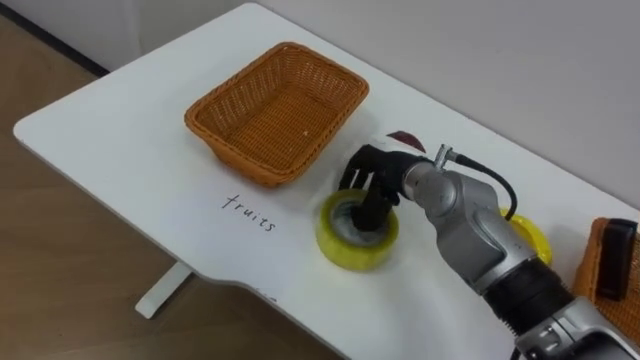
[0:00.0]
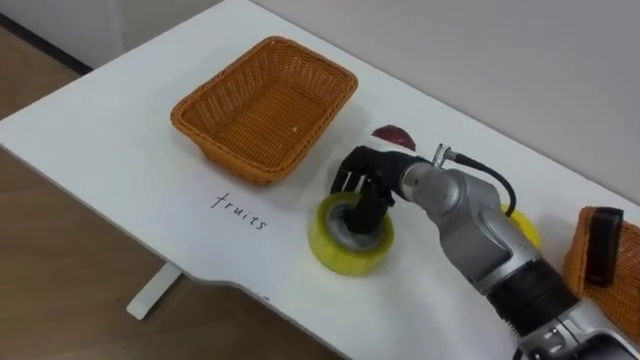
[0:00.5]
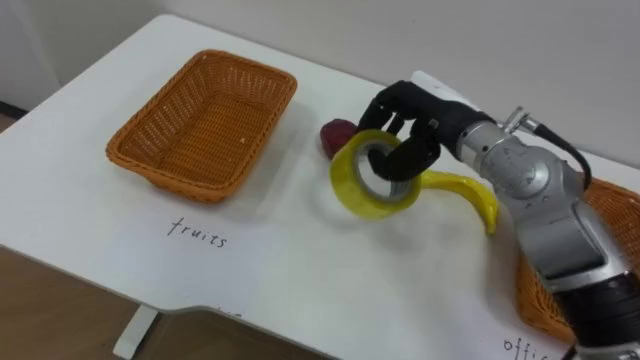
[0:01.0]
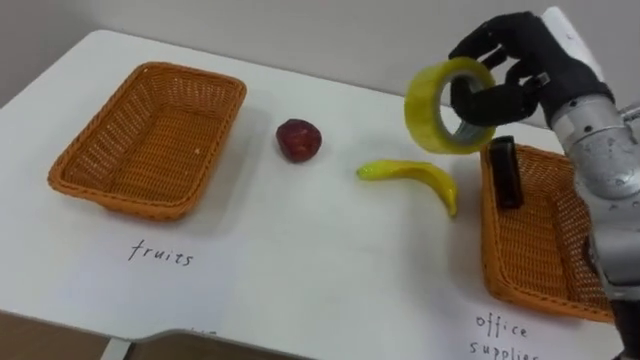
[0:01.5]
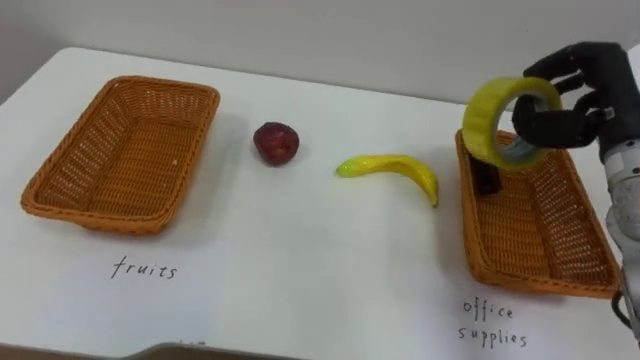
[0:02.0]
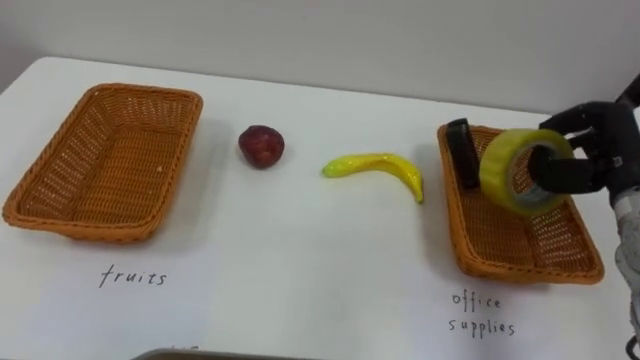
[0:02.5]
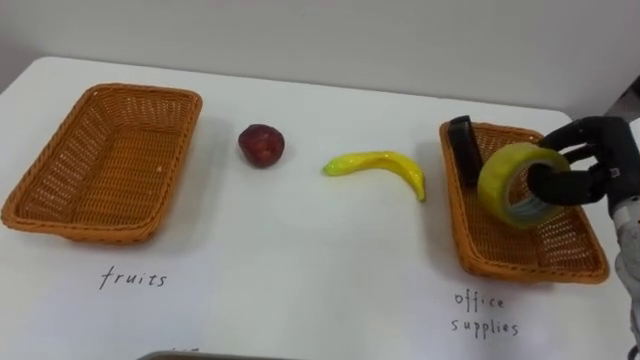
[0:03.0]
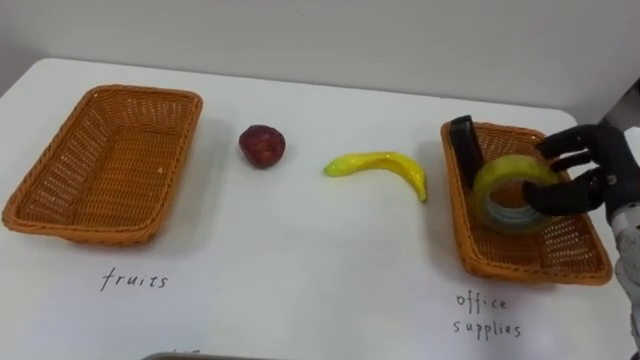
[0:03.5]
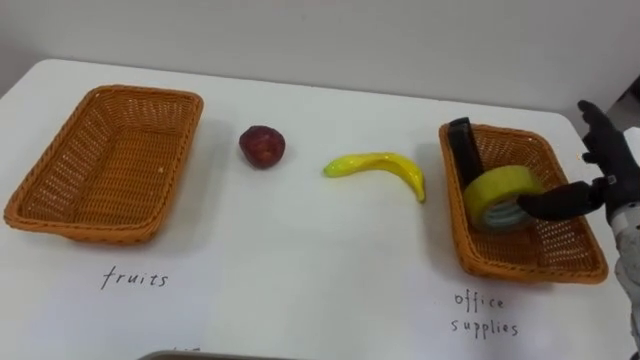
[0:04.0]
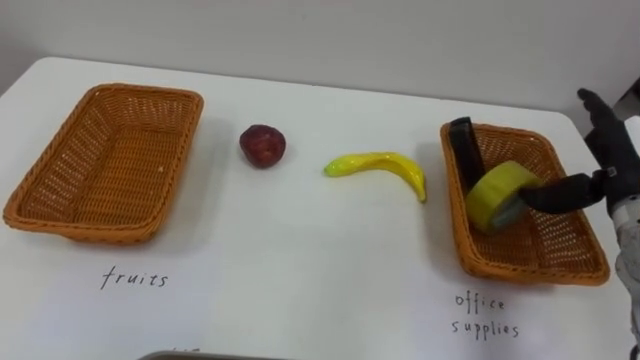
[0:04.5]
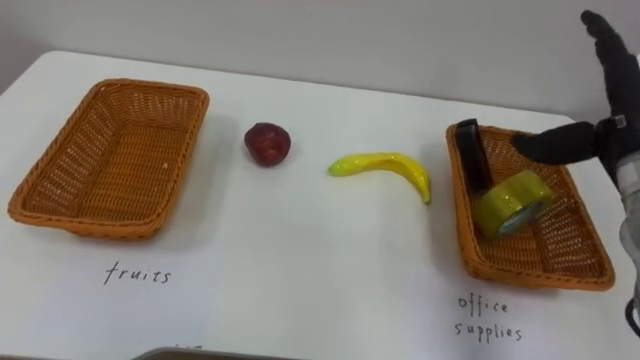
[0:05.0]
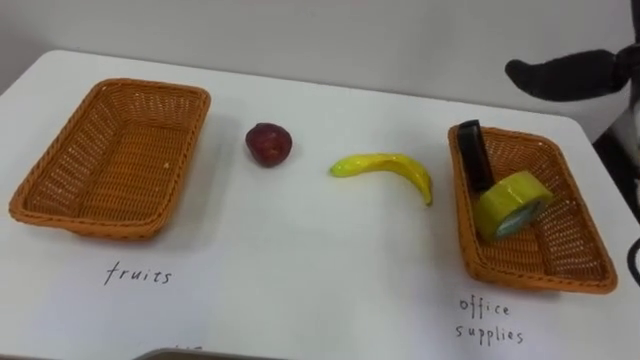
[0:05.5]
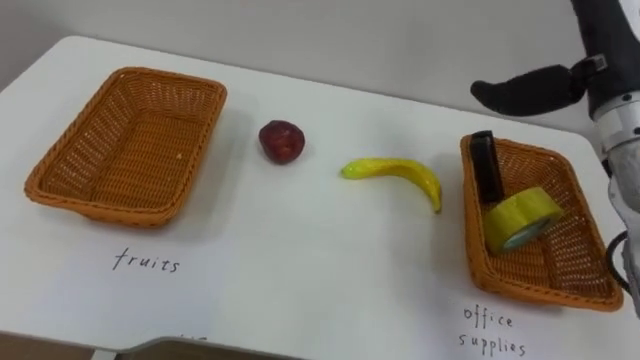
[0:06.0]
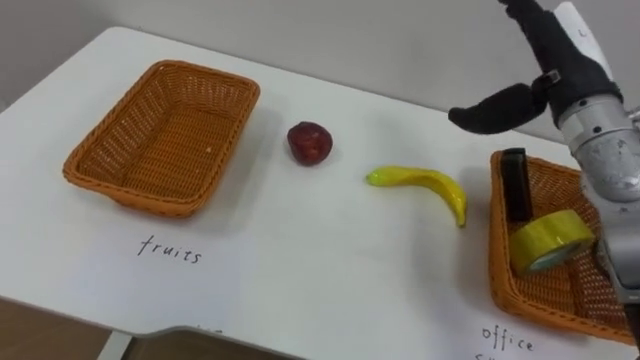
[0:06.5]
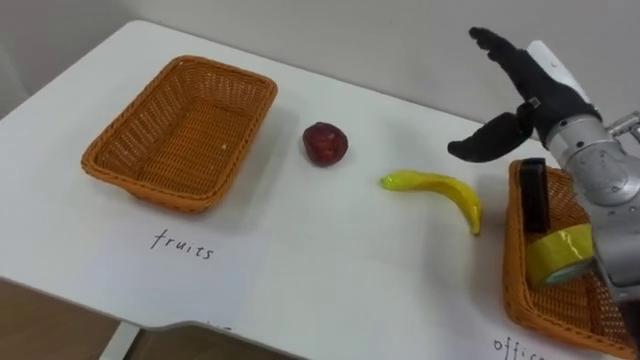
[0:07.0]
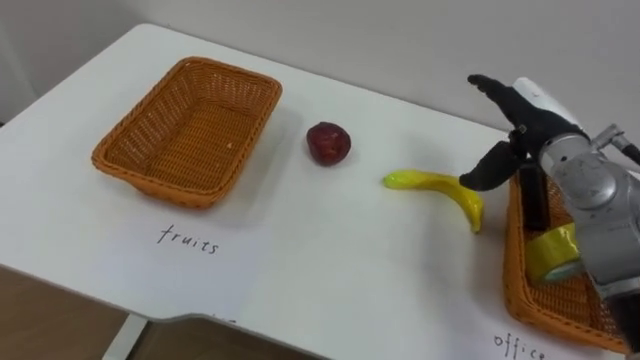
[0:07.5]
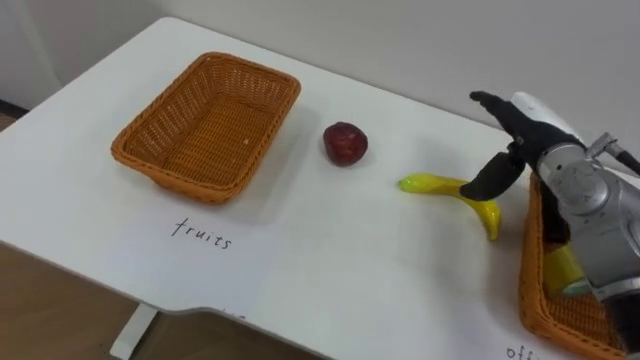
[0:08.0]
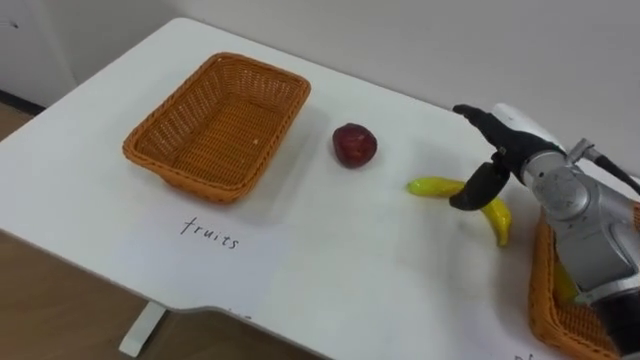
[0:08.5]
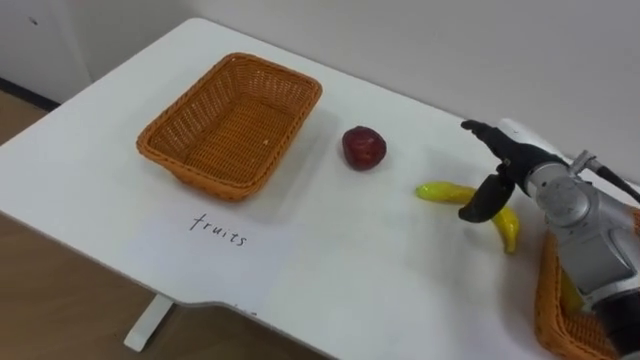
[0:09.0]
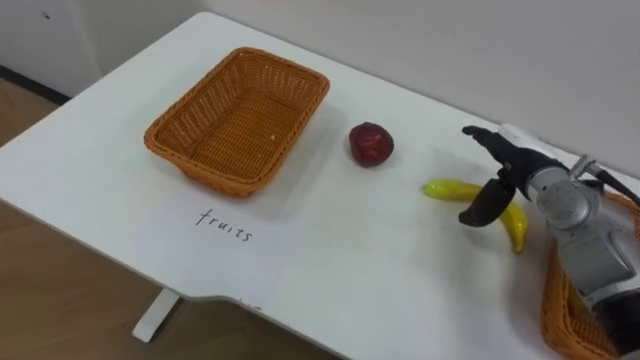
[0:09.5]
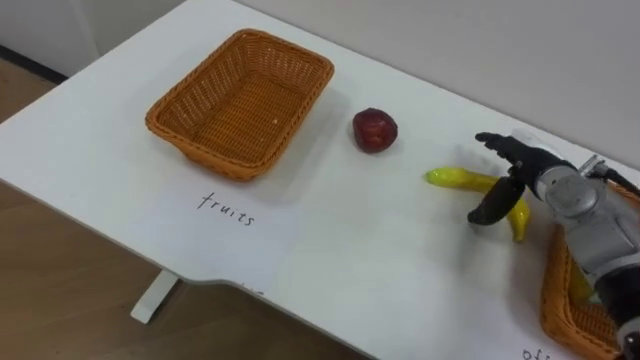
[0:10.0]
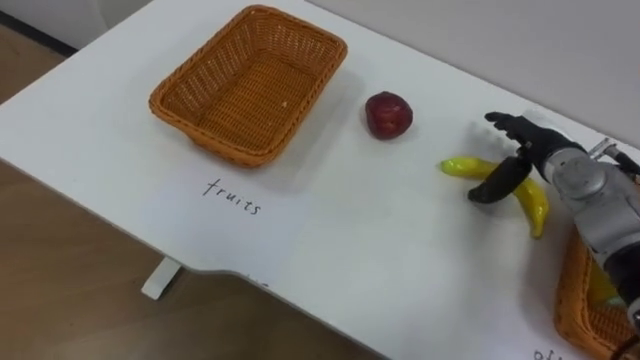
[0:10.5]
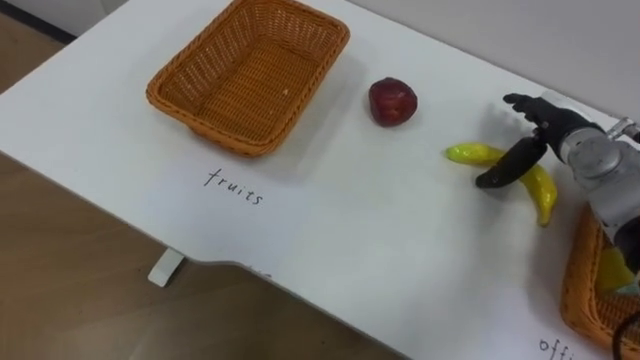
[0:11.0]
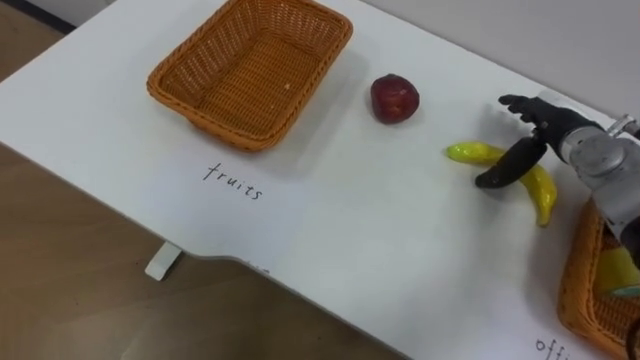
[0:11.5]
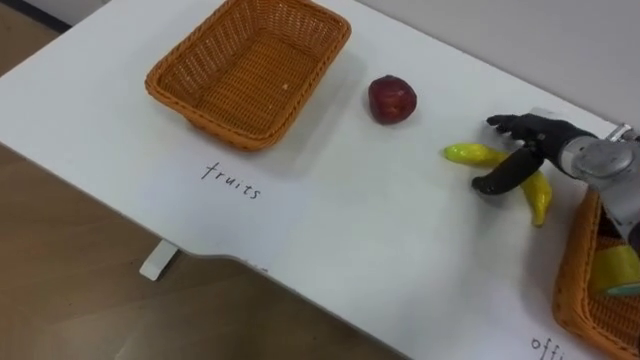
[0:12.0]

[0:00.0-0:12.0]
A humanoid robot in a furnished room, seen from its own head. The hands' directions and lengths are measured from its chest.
Task of the whole recording: Separate the items on the table and place them into the two baskets.
0:00.0 to 0:02.0: The right hand goes roughly 25 cm to the right and upward.
0:02.0 to 0:04.0: The right hand goes about 10 cm downward, and opens.
0:06.0 to 0:08.0: The right hand is displaced downward by roughly 15 cm.
0:08.0 to 0:10.0: The right hand is displaced downward by some 5 cm.

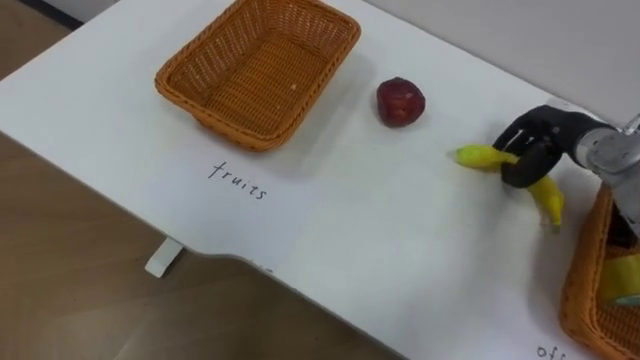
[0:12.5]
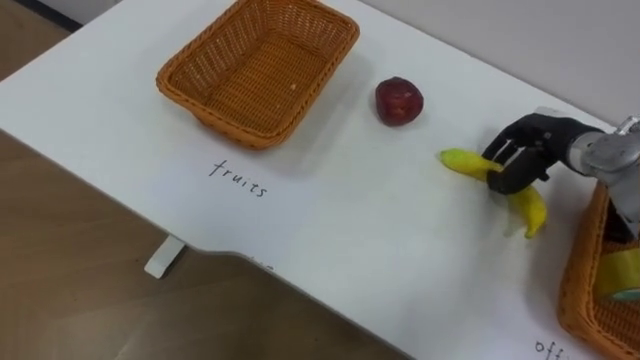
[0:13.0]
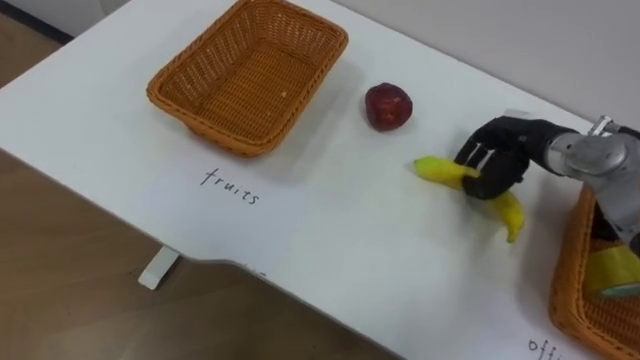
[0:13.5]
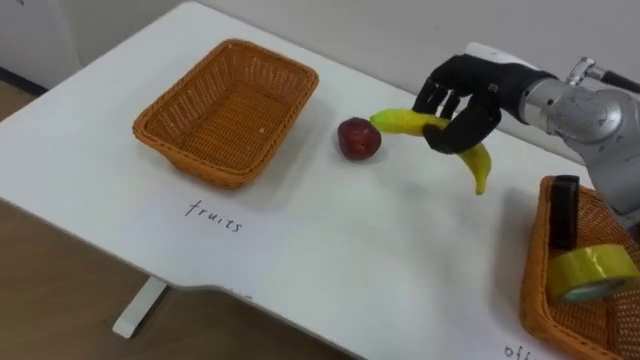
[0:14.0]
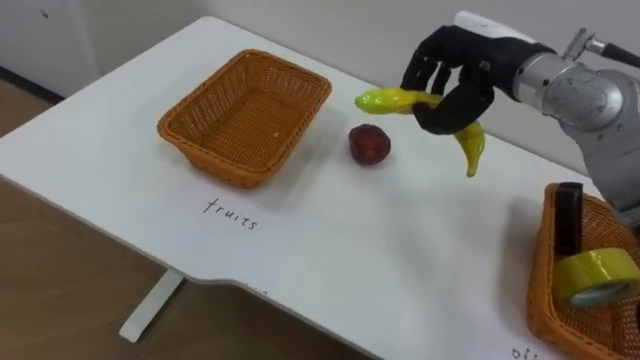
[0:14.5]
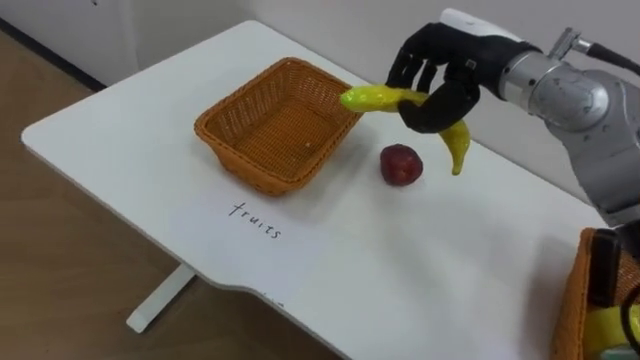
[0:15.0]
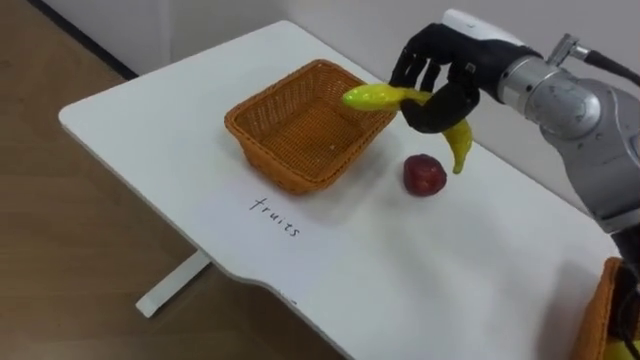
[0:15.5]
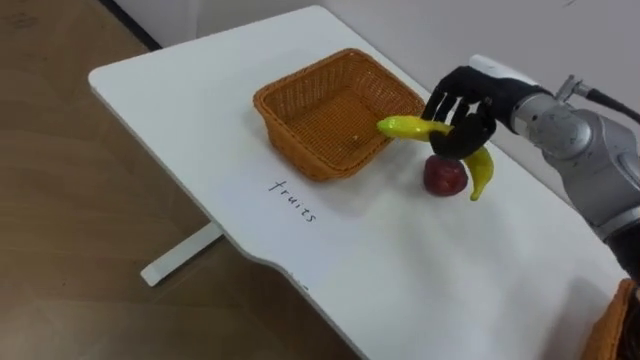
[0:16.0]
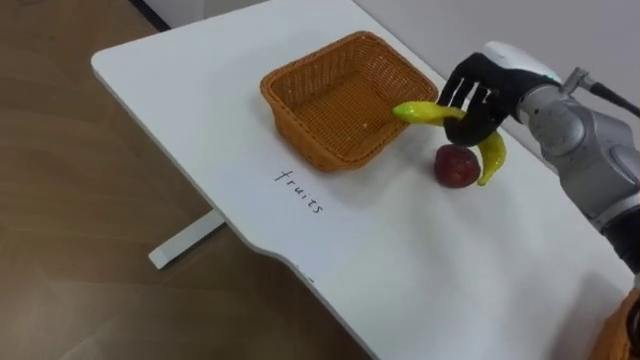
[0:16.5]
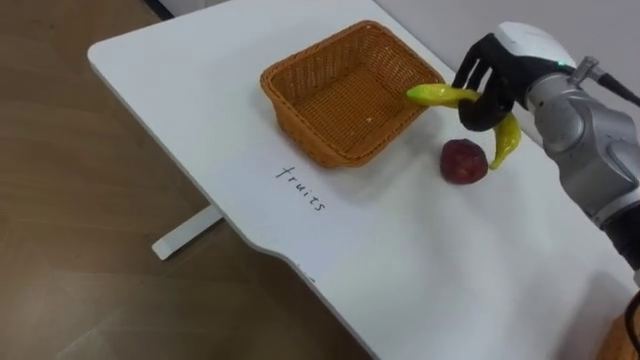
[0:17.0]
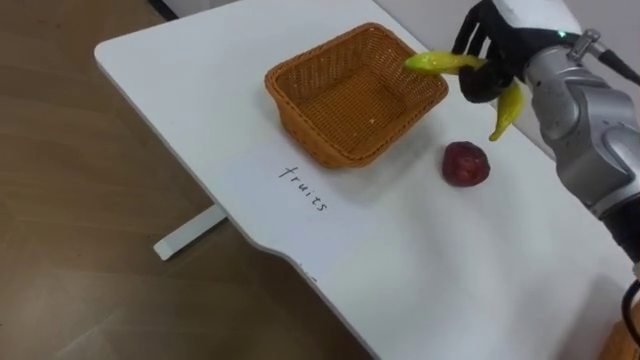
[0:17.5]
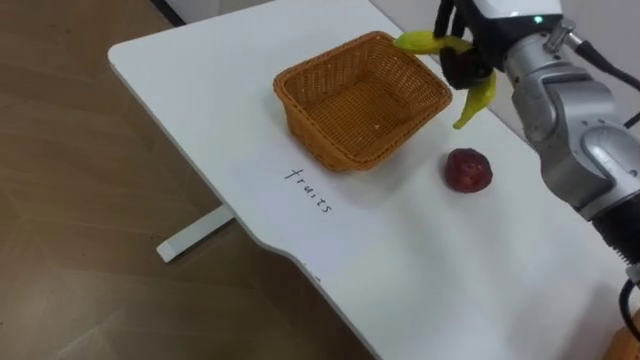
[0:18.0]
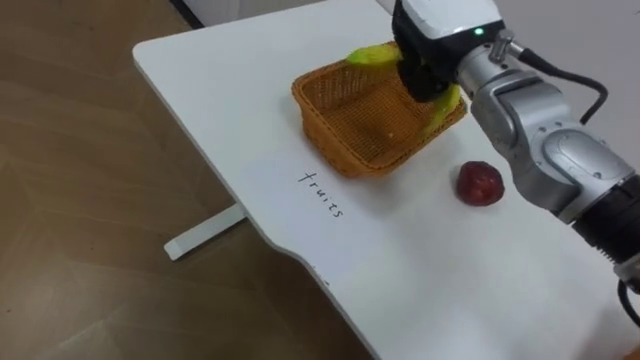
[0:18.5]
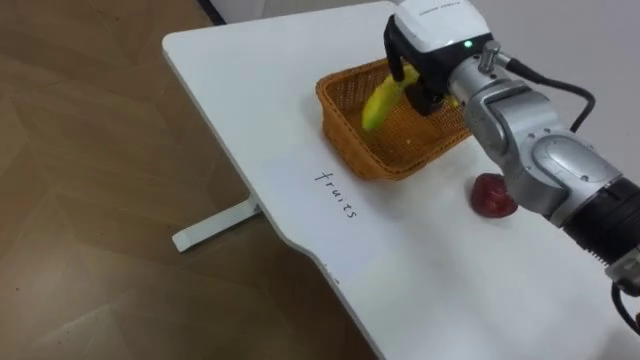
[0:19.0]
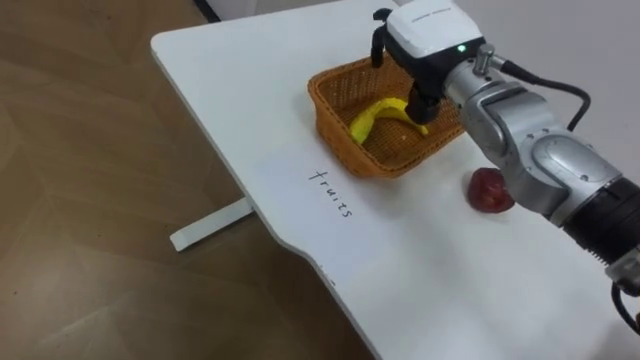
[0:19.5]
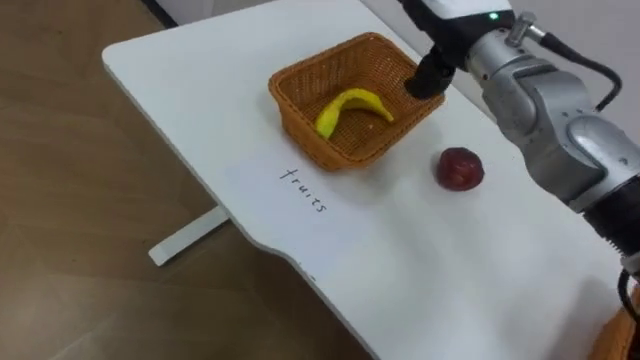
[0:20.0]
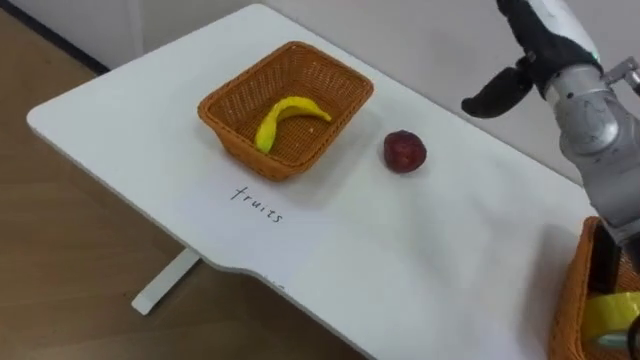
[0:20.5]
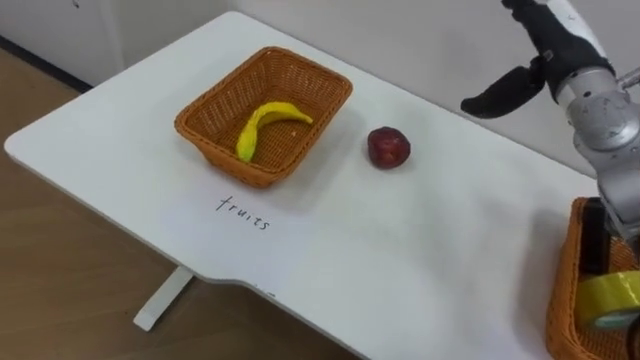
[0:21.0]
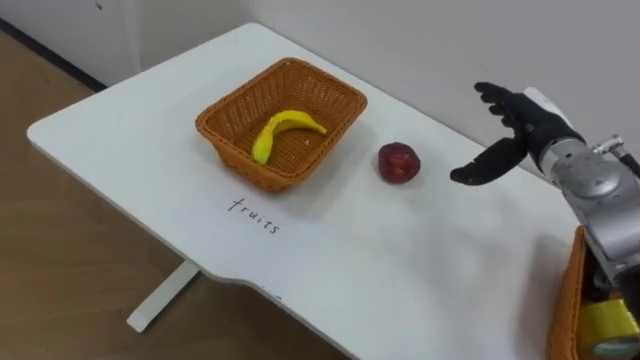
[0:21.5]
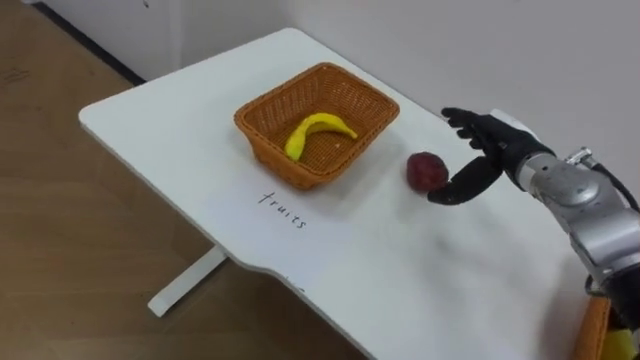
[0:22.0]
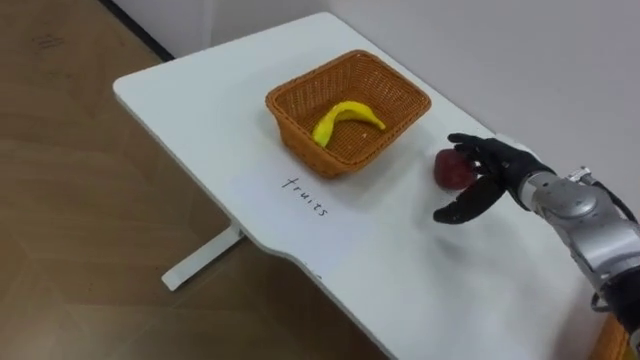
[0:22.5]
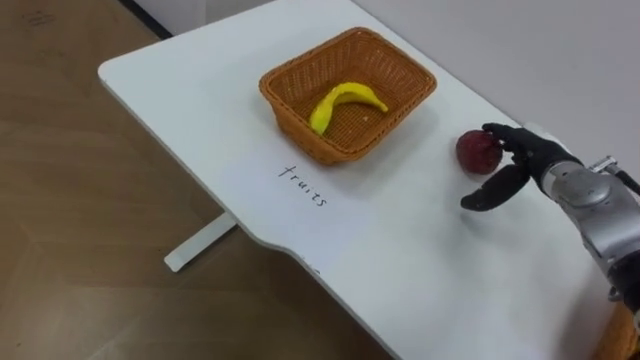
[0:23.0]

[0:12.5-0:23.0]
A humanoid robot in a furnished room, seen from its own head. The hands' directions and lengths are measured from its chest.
Task of the whole recording: Separate the items on the table and place them into the two baskets.
0:12.5 to 0:14.5: The right hand is displaced to the left and upward by roughly 20 cm.
0:14.5 to 0:16.5: The right hand is displaced downward by some 5 cm.
0:16.5 to 0:19.0: The right hand is displaced to the left and upward by approximately 10 cm.
0:19.0 to 0:21.0: The right hand heads to the right, covering about 15 cm, and opens its fingers.
0:21.0 to 0:23.0: The right hand shifts some 15 cm downward.
